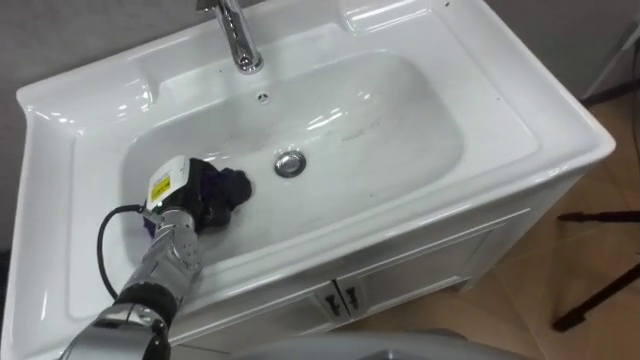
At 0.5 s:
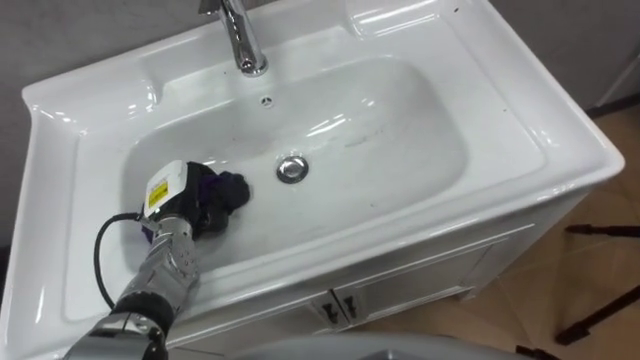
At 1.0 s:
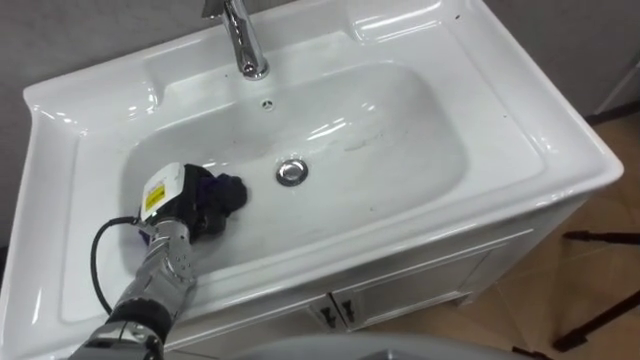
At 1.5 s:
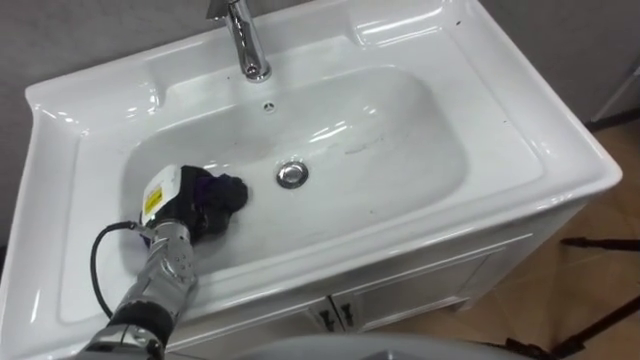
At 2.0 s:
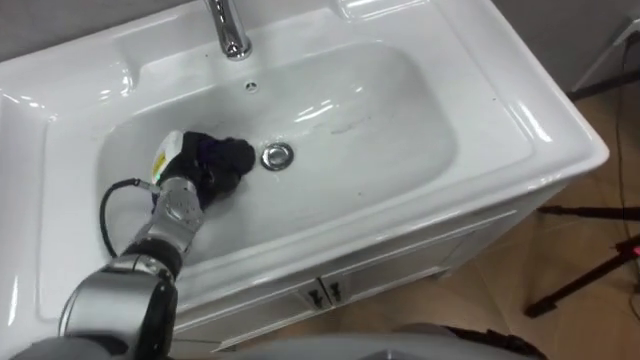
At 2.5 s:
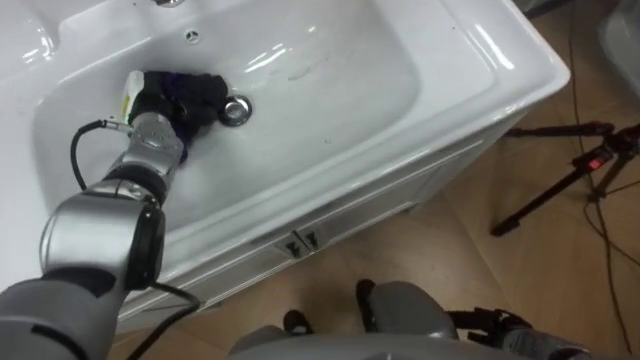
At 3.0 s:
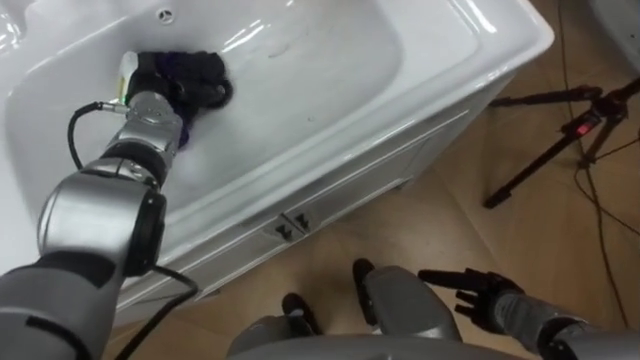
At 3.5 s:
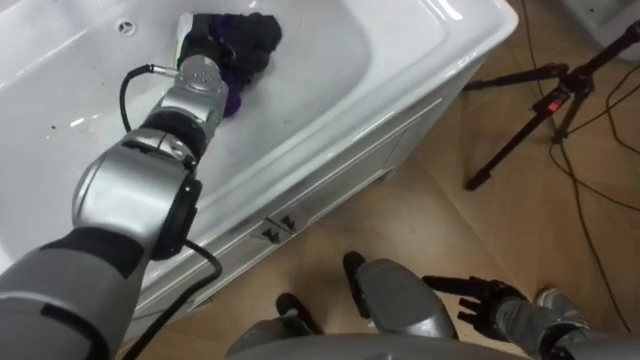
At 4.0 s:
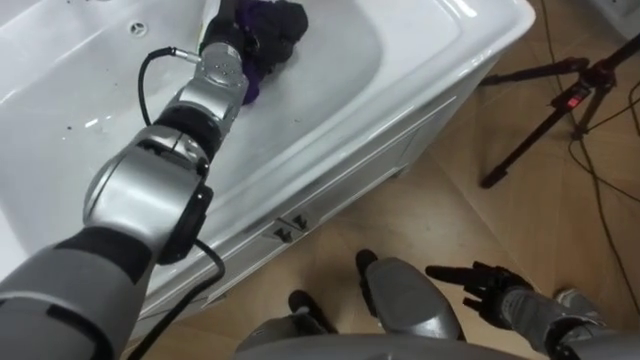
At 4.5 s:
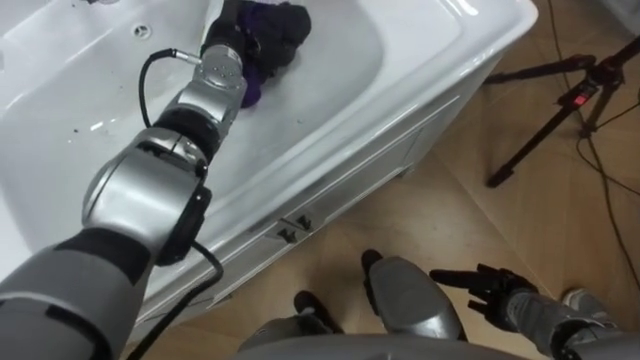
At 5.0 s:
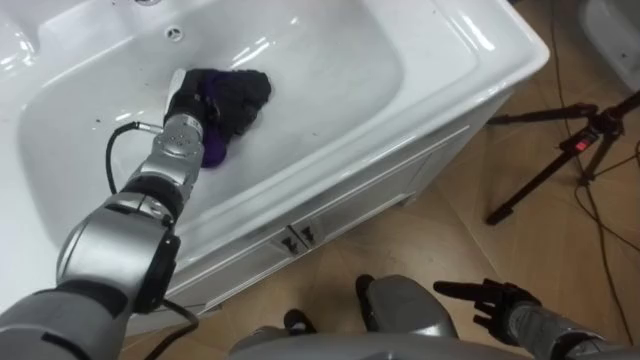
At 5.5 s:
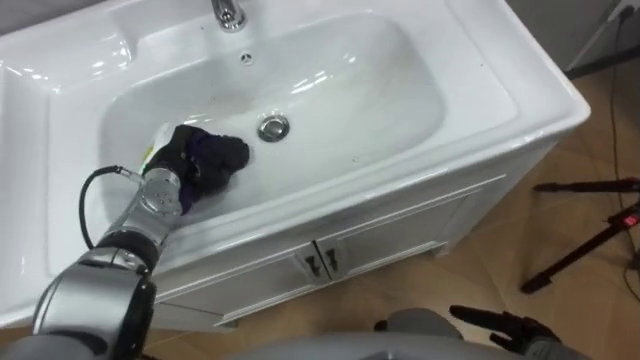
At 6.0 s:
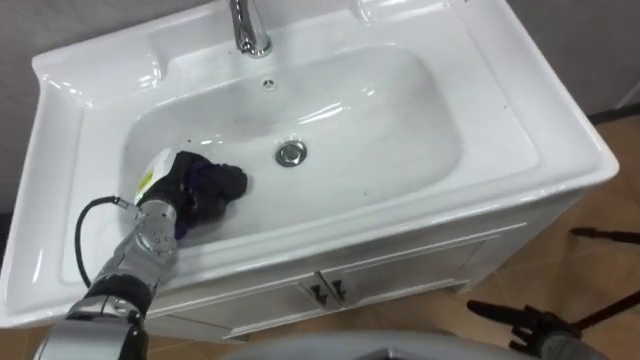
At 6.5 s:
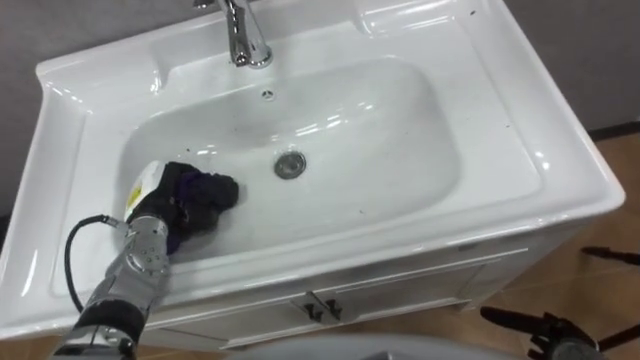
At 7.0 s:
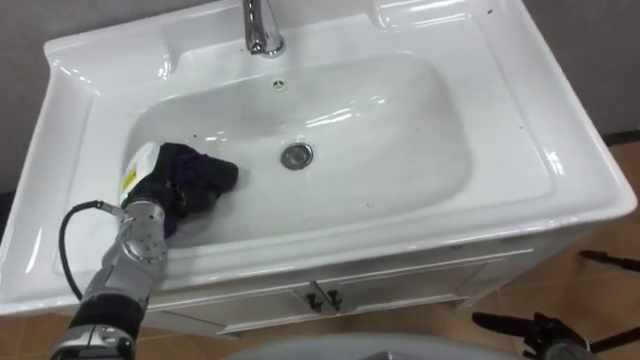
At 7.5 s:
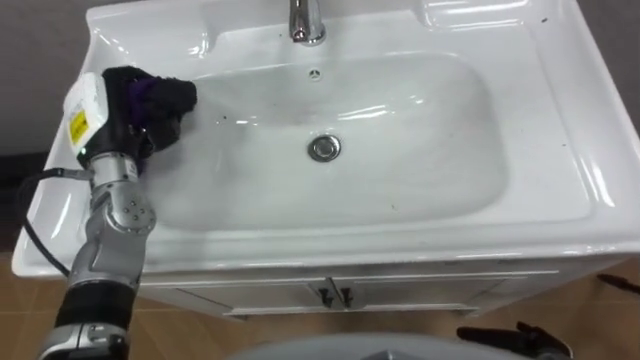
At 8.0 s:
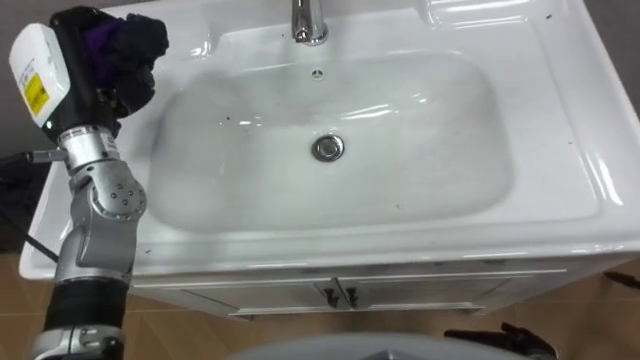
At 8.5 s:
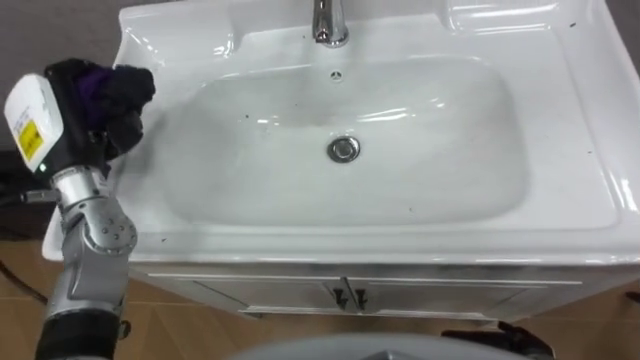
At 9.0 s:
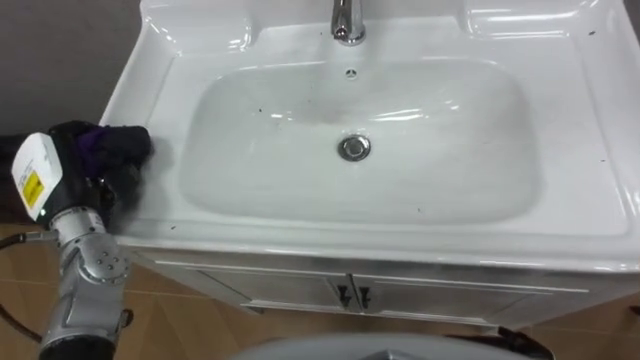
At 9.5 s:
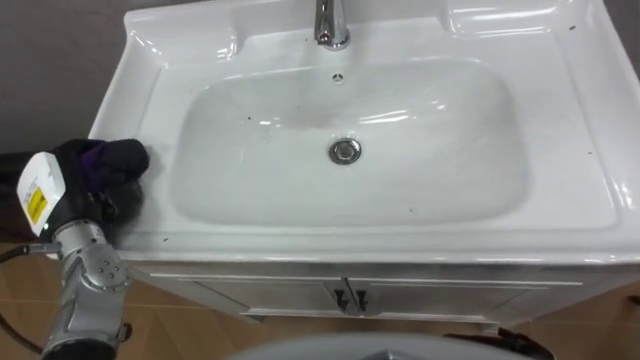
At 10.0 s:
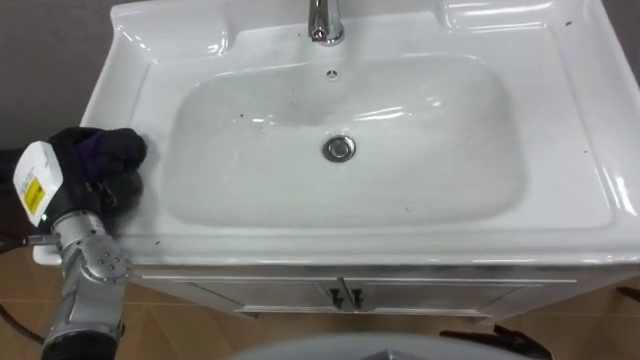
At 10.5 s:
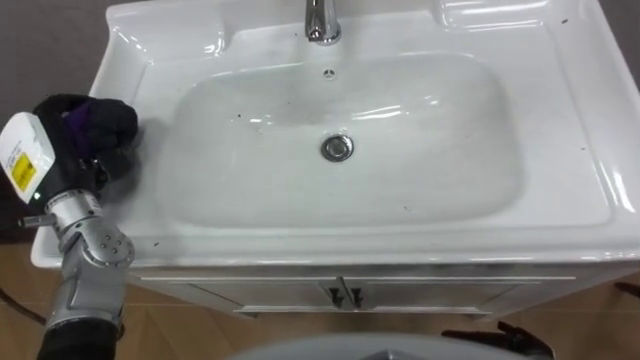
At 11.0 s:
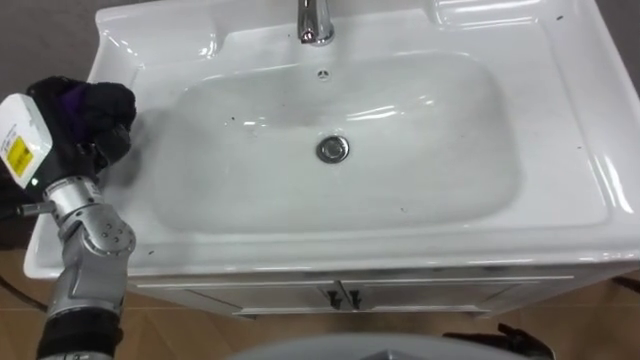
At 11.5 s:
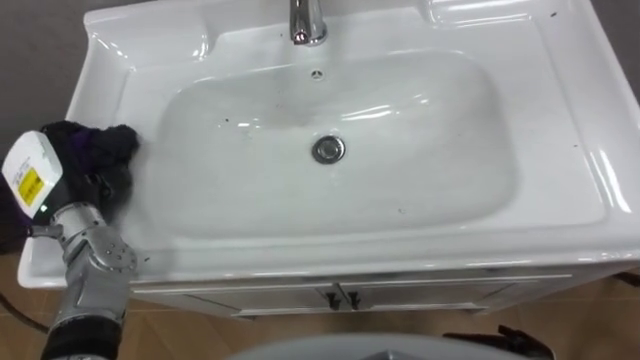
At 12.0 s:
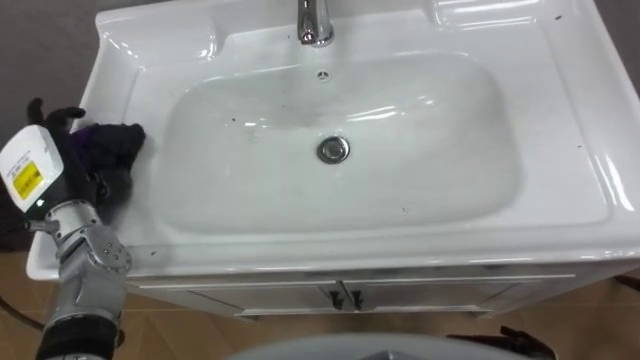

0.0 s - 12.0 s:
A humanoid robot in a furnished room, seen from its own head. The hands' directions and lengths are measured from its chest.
Task of the whole recording: Use the cloth on the right to wipe away the black stain in the sink.
2.0 s - 4.0 s: The left hand travels upward, forward and to the right by about 20 cm.
4.0 s - 6.0 s: The left hand is displaced backward, downward and to the left by some 25 cm.
6.0 s - 8.0 s: The left hand shifts approximately 20 cm upward.
8.0 s - 10.0 s: The left hand is displaced downward, backward and to the left by some 15 cm.
10.0 s - 12.0 s: The left hand opens.

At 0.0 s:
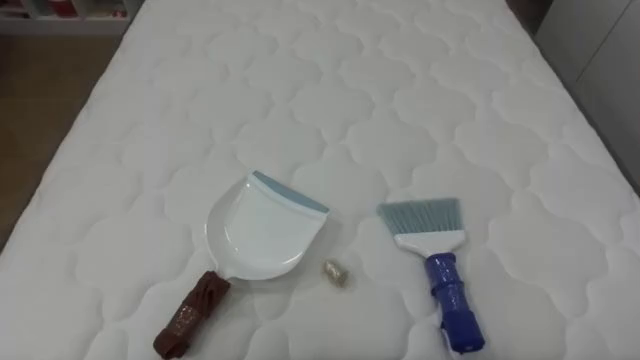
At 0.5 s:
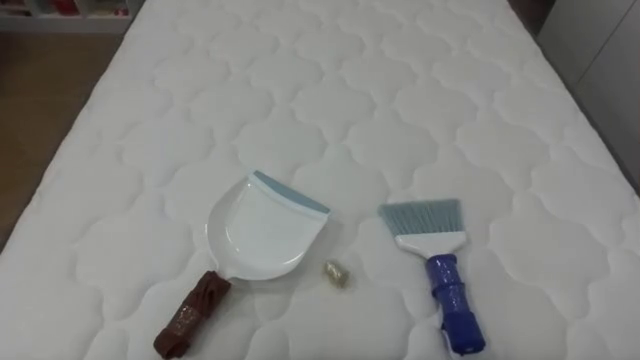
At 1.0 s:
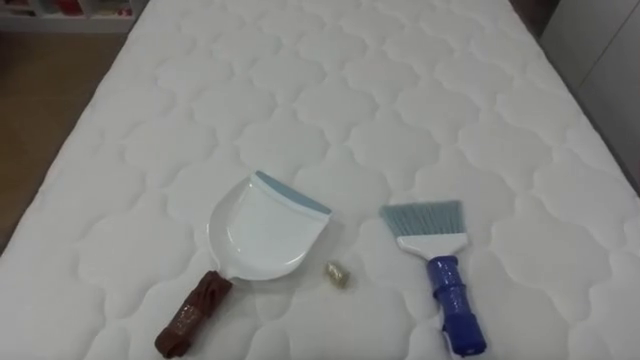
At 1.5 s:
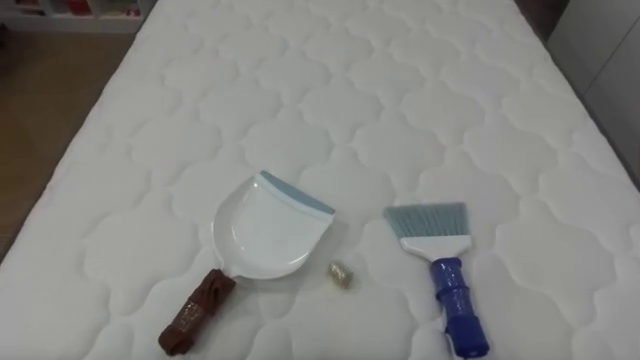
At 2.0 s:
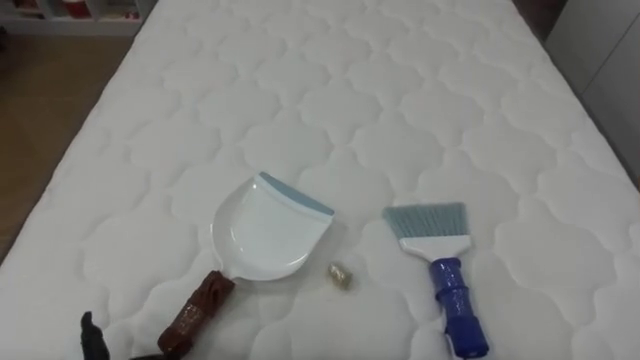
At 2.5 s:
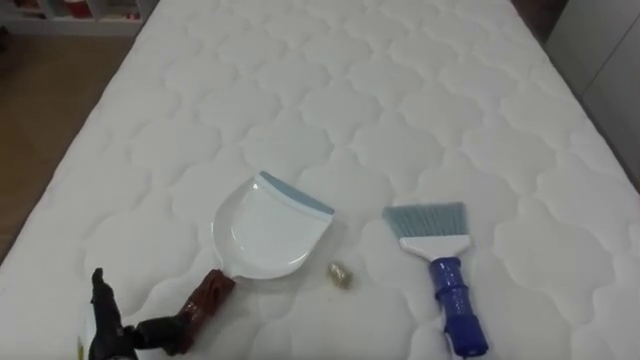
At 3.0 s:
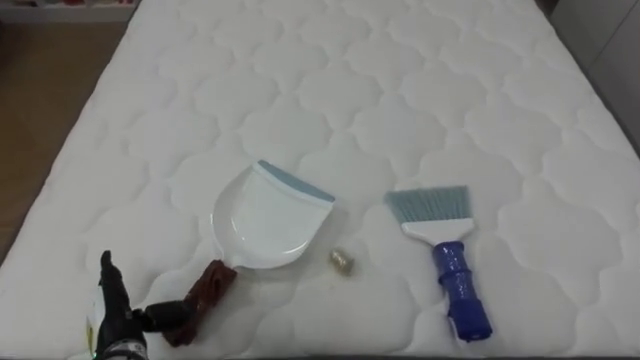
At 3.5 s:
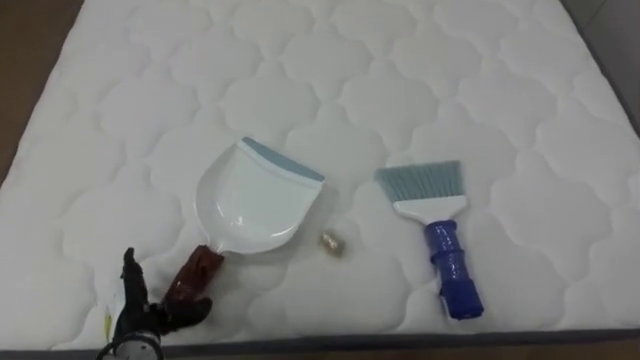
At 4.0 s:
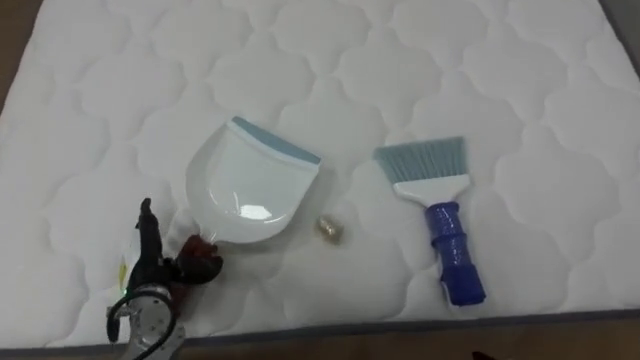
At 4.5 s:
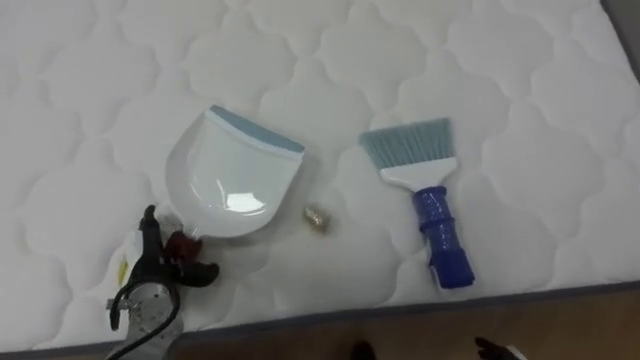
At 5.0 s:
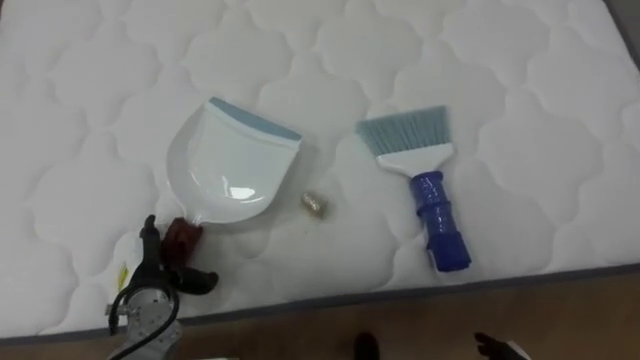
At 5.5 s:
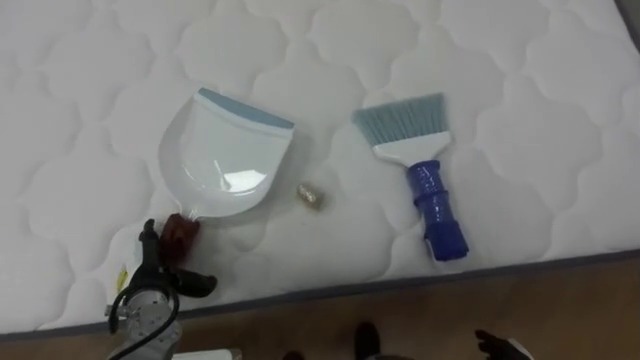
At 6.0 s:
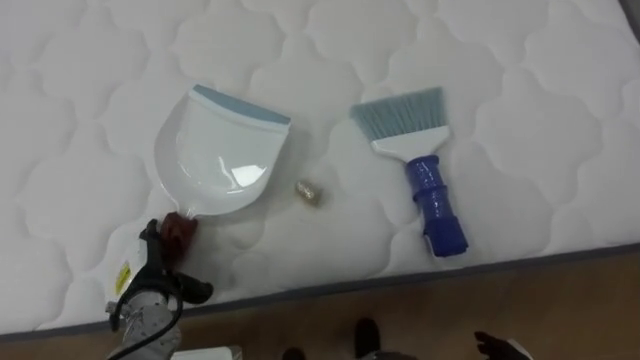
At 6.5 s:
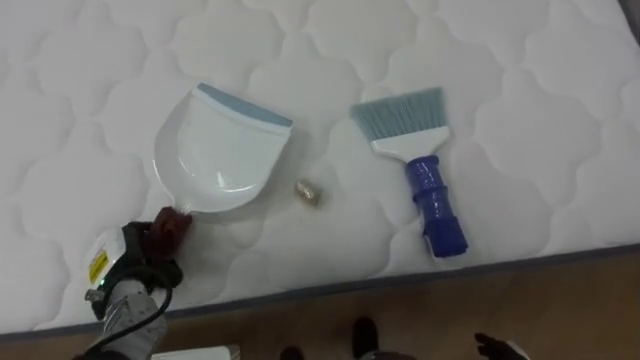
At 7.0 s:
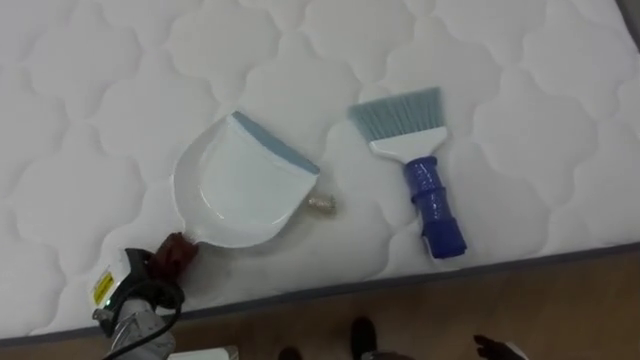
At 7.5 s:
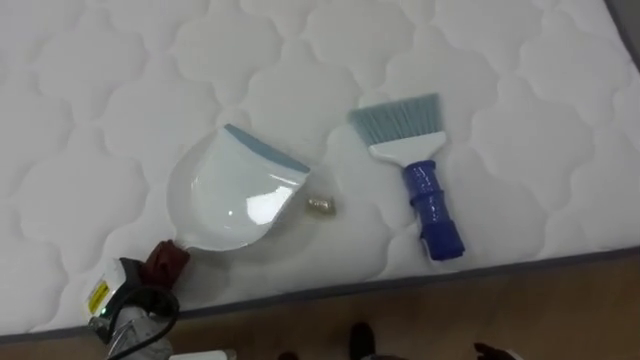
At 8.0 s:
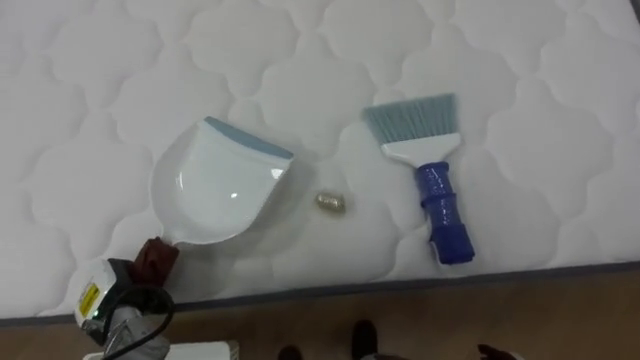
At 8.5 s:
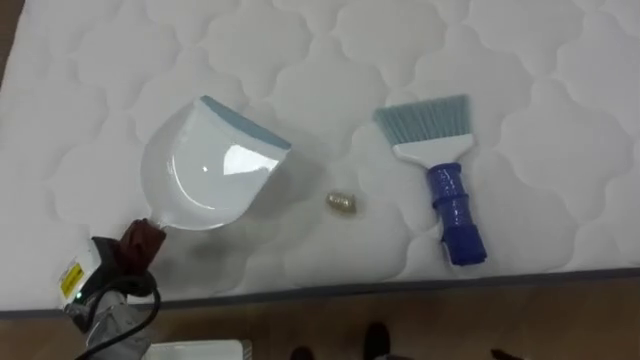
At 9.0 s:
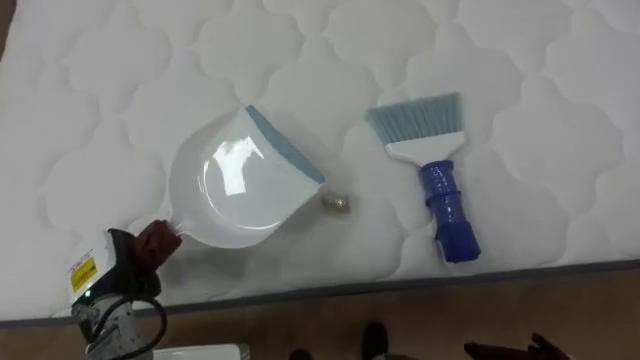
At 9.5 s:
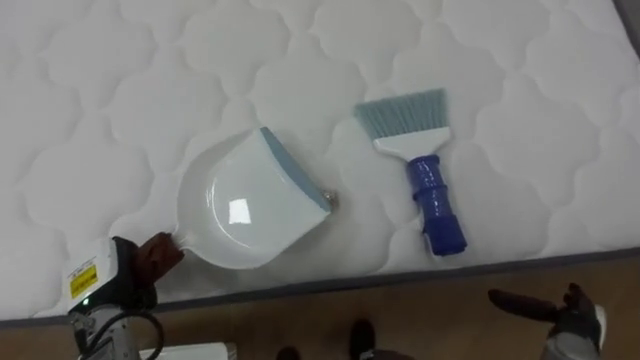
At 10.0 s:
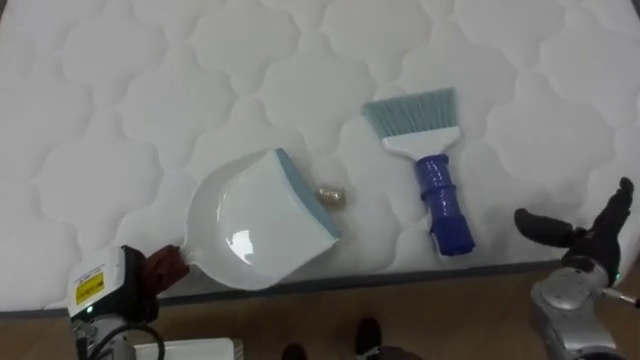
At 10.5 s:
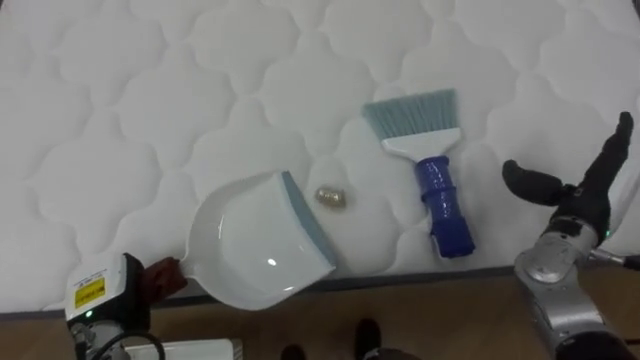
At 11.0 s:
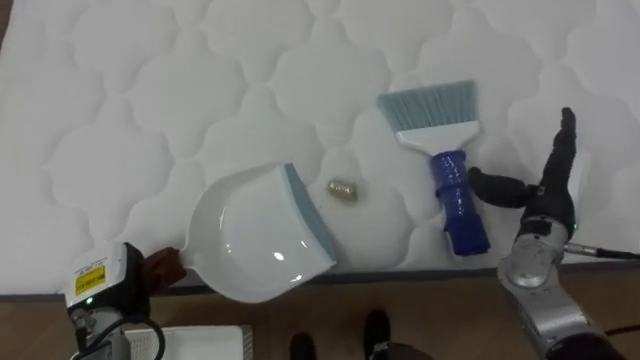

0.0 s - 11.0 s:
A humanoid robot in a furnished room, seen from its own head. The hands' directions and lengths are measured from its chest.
Task of the whole recording: Pick up the brush on your right and the dustpan on your left. Use the brush to sweep the crumpled paper on the bed into the dustpan, then turn left and empty it into the basket.
3.5 s - 5.5 s: The left hand shifts some 5 cm forward.
5.5 s - 7.5 s: The left hand closes its fingers.
